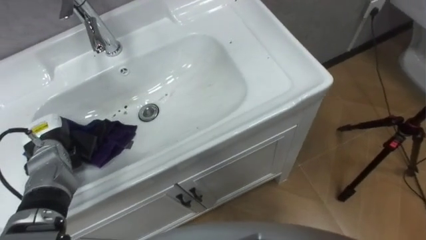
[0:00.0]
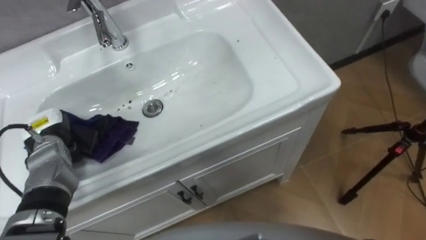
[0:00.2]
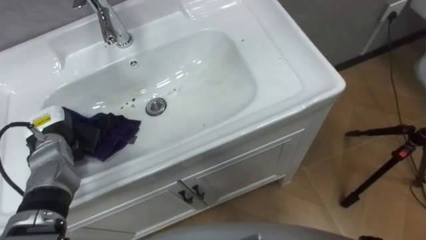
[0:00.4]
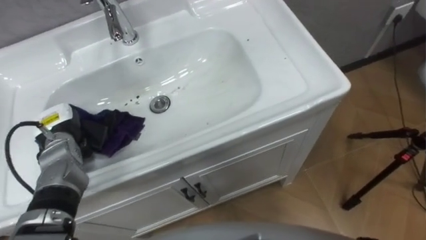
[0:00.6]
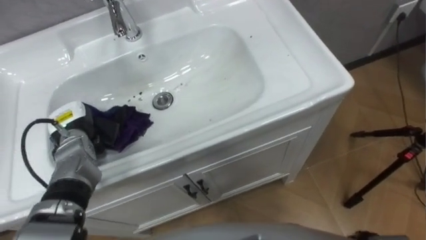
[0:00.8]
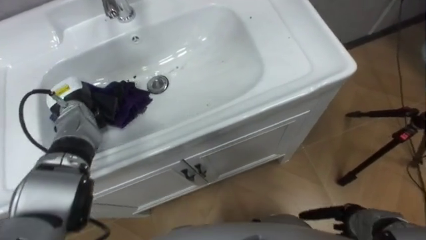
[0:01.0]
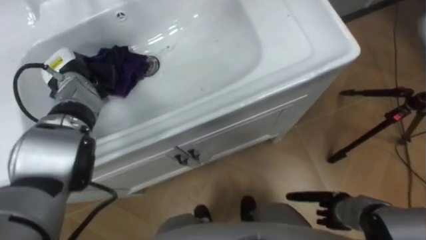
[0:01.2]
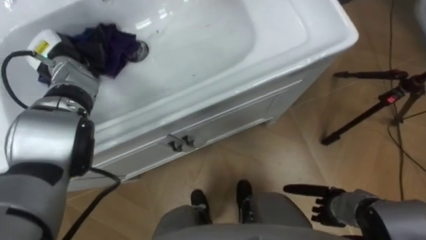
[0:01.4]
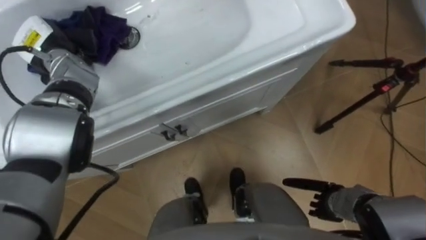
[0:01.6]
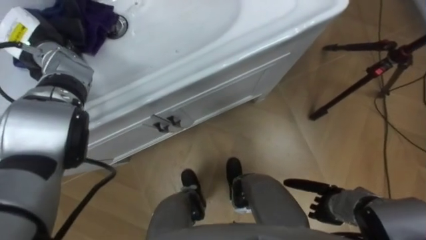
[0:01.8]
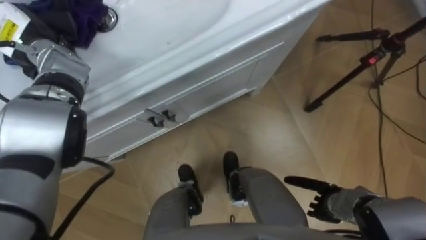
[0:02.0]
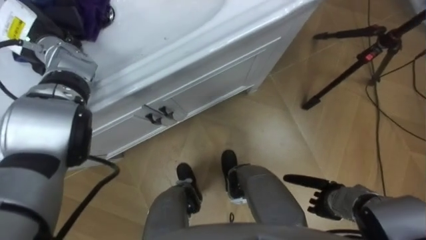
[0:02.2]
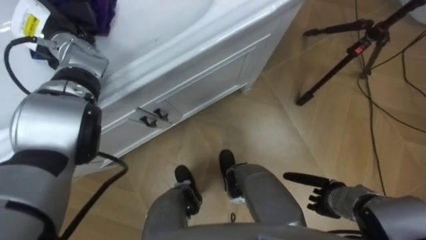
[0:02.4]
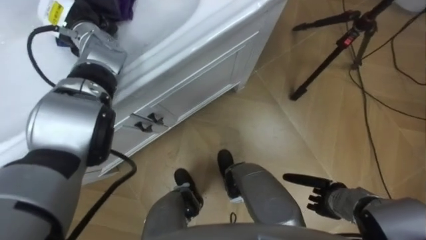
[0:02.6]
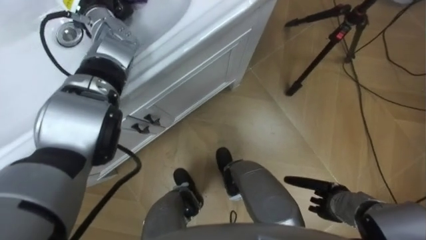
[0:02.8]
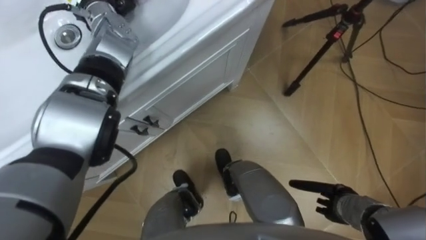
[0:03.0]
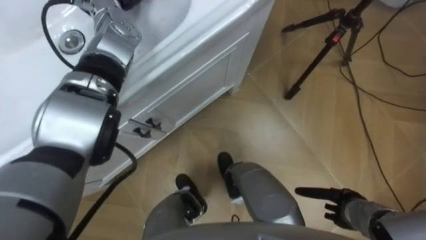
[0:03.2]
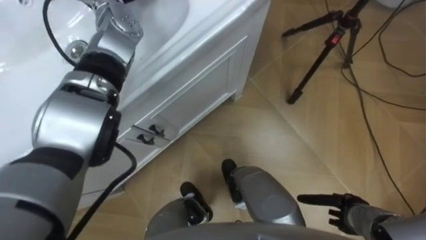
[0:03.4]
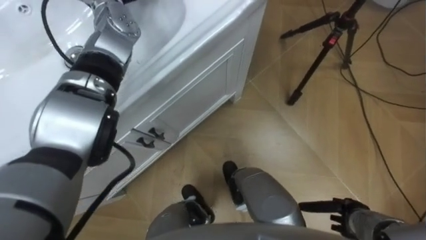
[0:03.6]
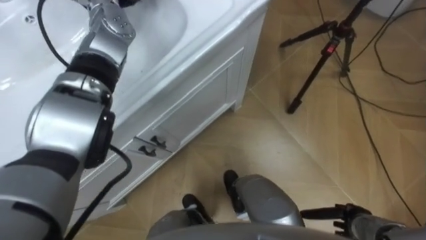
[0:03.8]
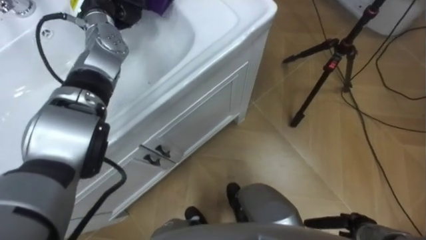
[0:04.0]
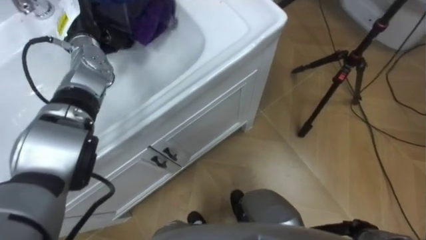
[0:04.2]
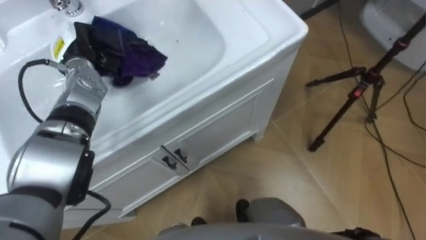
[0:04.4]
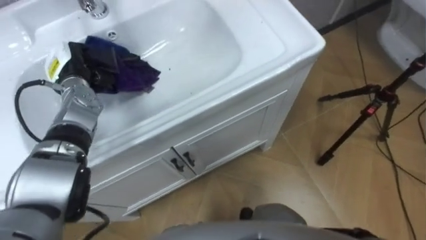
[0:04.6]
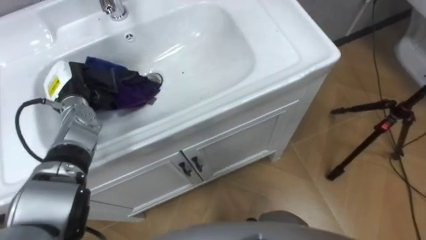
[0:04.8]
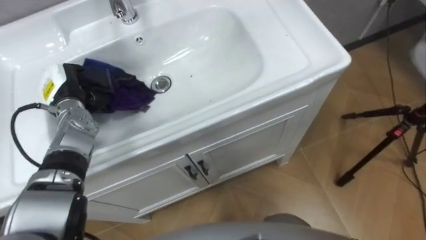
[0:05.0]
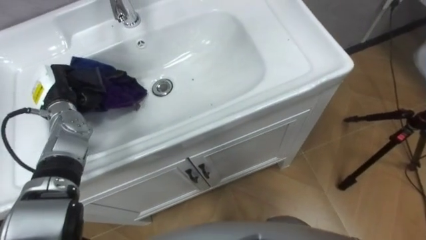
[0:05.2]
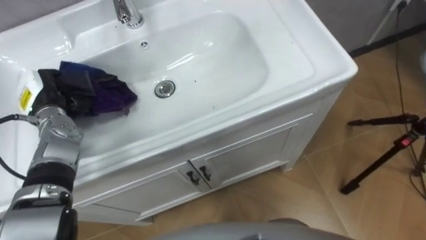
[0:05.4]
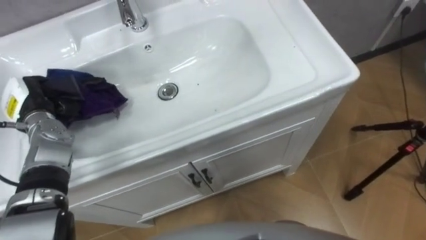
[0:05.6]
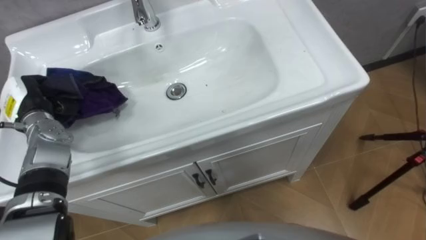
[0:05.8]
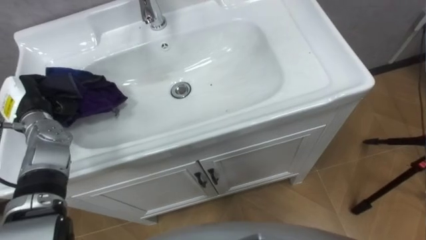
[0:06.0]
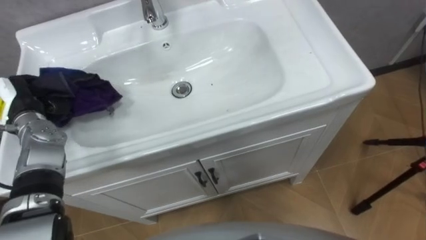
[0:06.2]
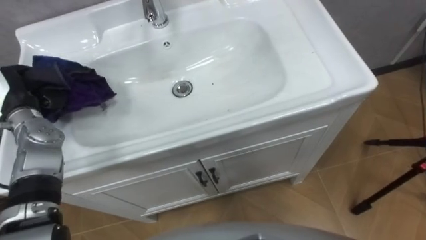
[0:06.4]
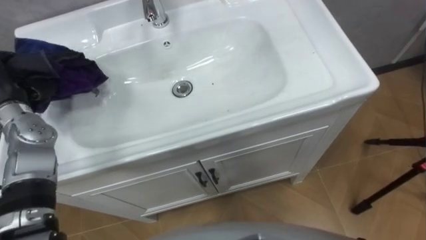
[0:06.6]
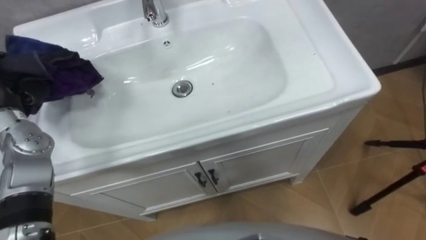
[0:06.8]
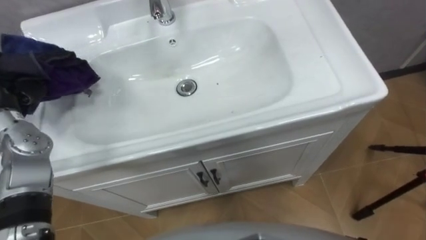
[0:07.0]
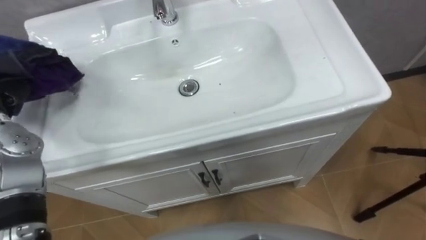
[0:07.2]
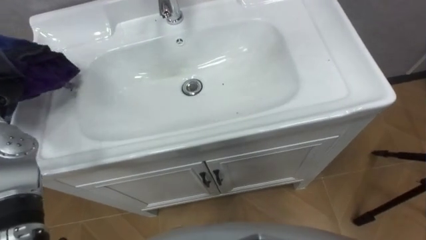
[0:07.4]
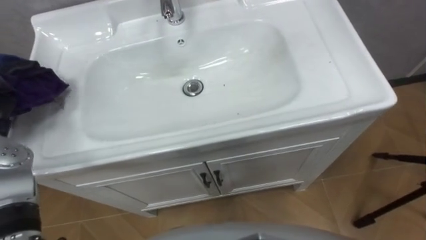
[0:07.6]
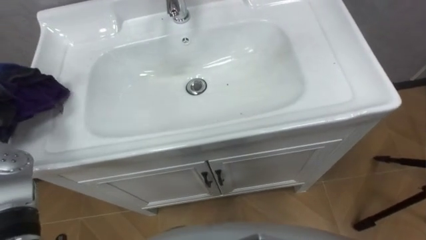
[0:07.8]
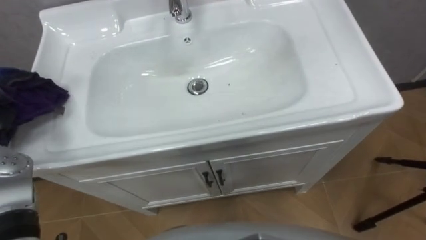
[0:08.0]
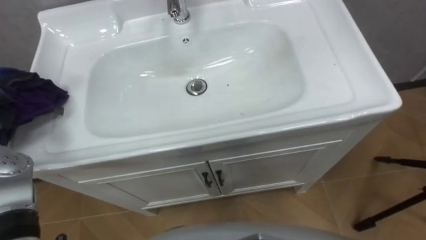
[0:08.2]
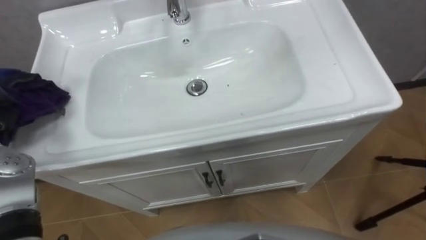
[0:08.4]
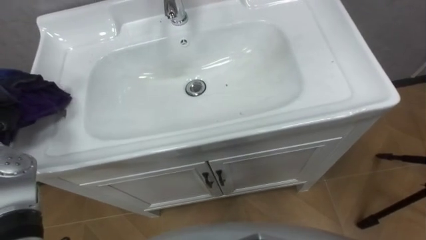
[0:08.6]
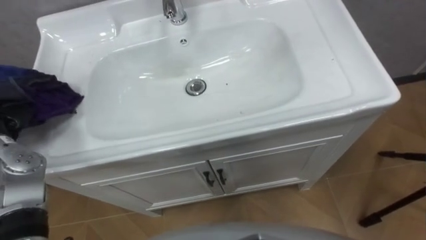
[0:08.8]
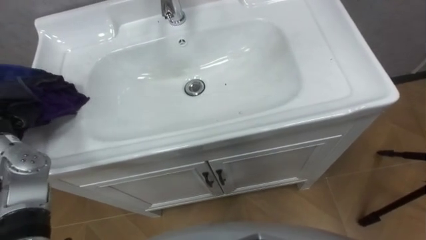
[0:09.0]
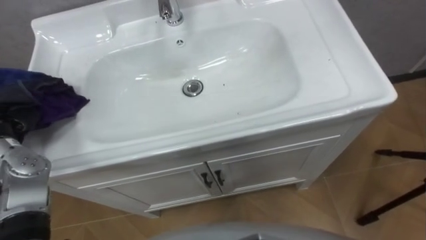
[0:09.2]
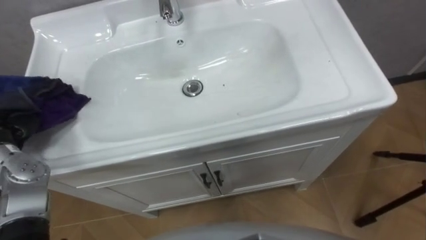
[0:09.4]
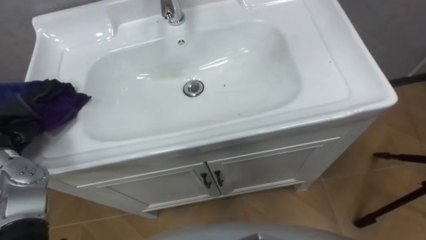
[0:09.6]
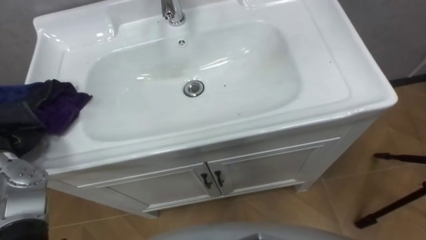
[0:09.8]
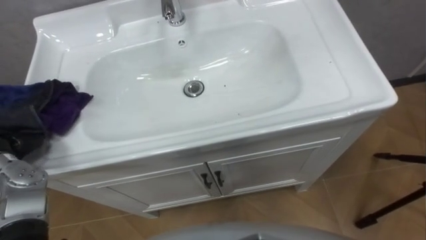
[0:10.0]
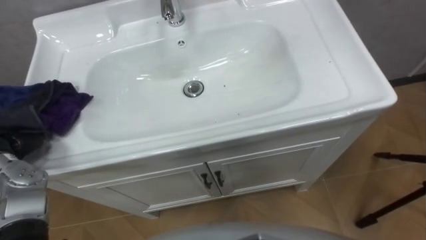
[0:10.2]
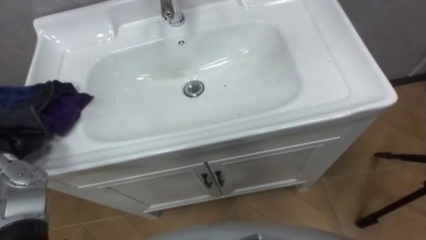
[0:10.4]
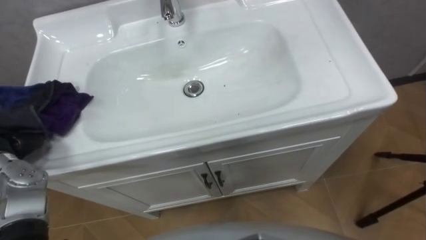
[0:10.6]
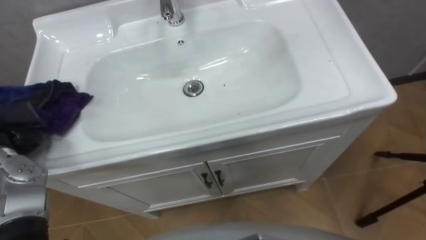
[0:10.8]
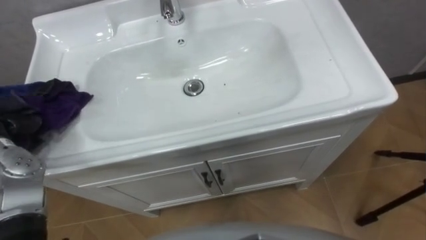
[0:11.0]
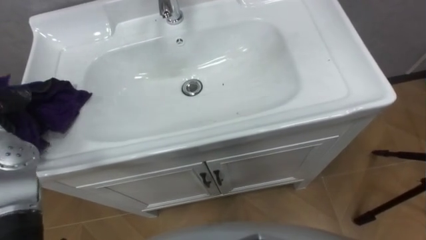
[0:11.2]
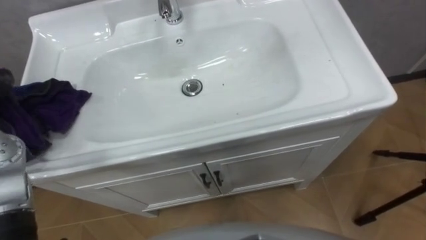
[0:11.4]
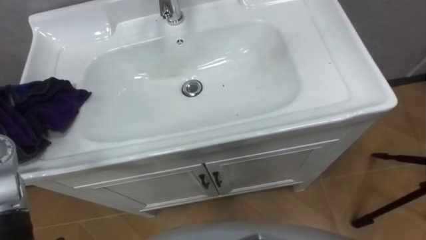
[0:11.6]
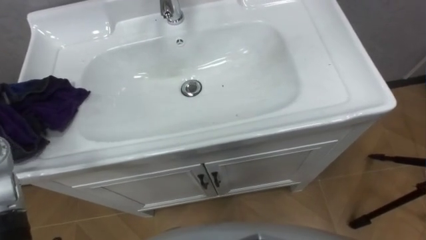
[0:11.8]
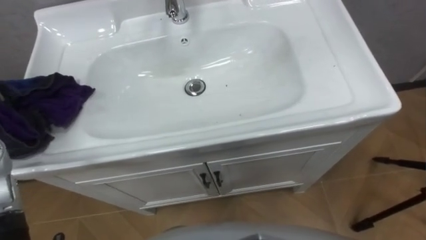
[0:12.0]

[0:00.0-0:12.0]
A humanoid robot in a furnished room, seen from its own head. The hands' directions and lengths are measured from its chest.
Task of the whole recording: Use the cloth on the right to wipe away the black stain in the sink.
0:00.0 to 0:01.6: The left hand is displaced forward and upward by some 20 cm.
0:04.4 to 0:06.0: The left hand is displaced backward and to the left by roughly 15 cm.

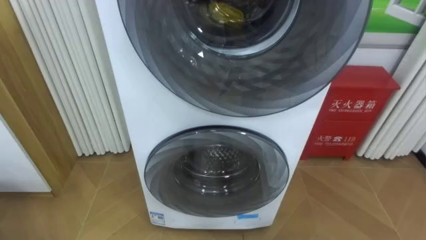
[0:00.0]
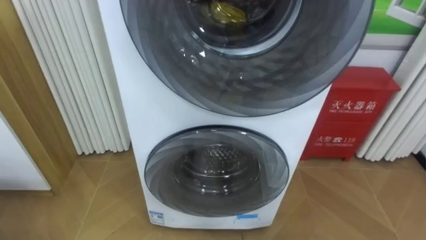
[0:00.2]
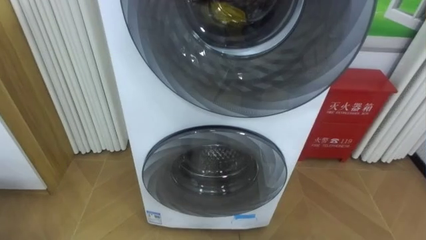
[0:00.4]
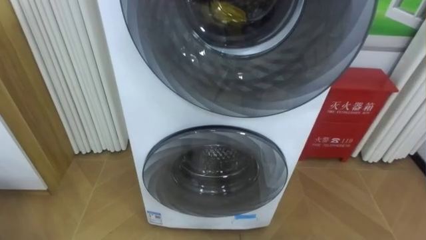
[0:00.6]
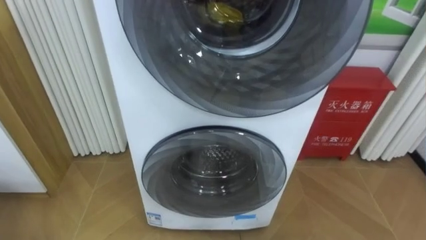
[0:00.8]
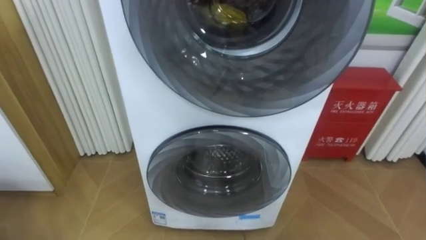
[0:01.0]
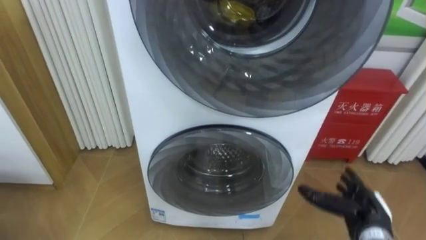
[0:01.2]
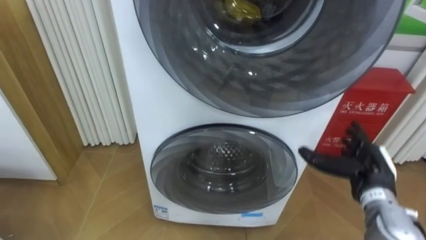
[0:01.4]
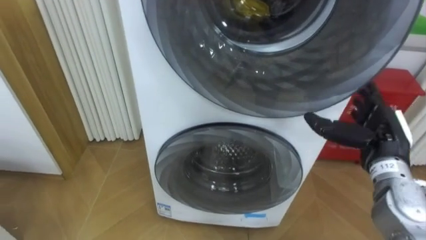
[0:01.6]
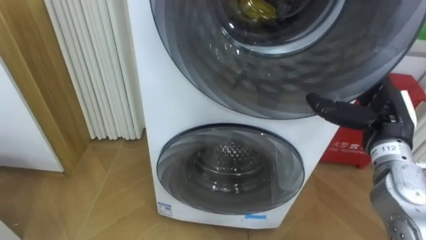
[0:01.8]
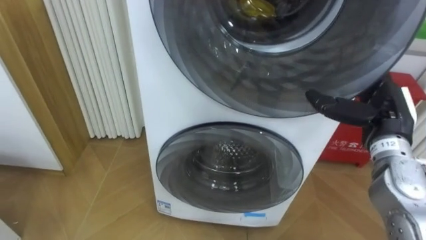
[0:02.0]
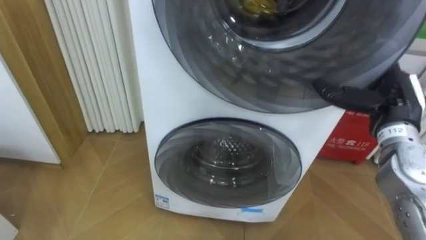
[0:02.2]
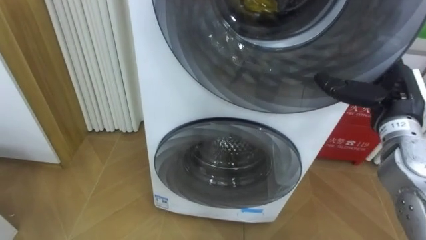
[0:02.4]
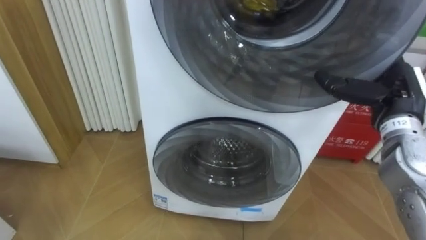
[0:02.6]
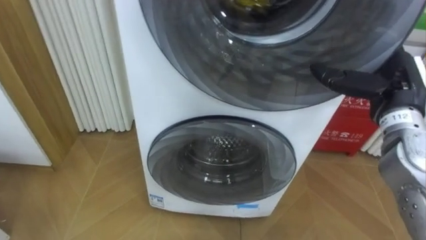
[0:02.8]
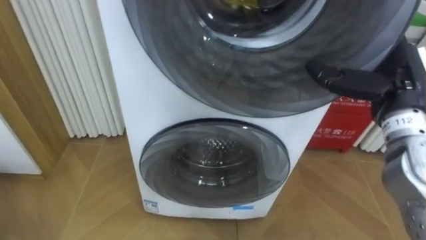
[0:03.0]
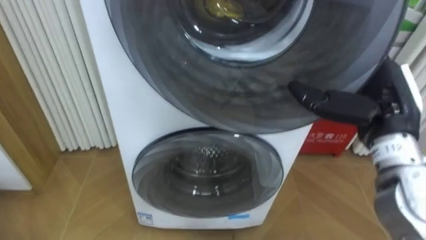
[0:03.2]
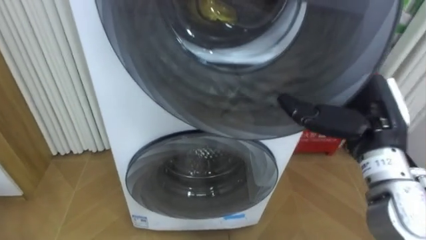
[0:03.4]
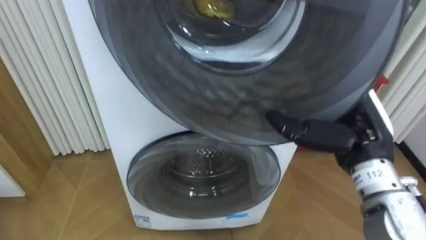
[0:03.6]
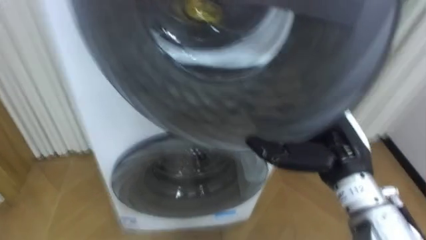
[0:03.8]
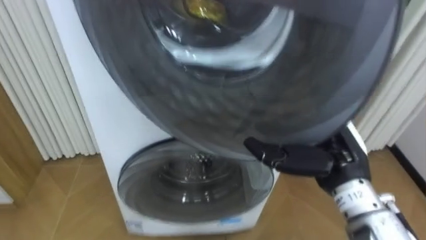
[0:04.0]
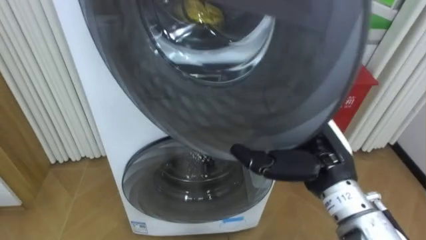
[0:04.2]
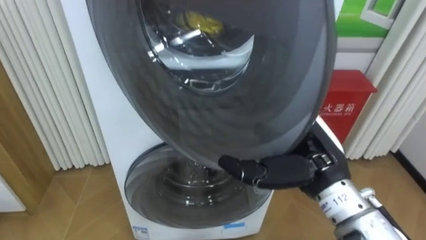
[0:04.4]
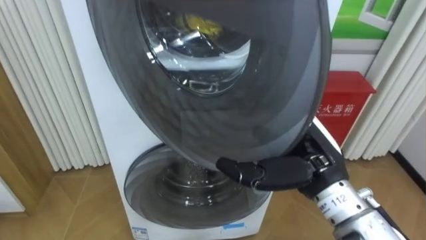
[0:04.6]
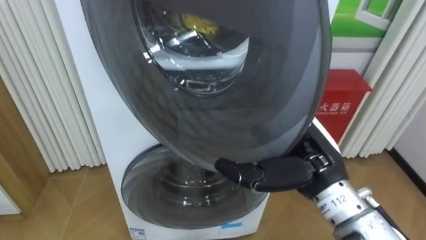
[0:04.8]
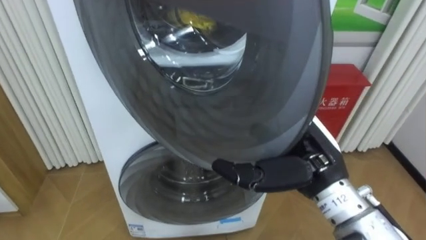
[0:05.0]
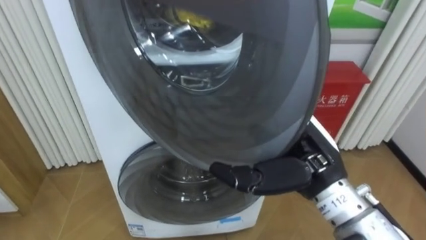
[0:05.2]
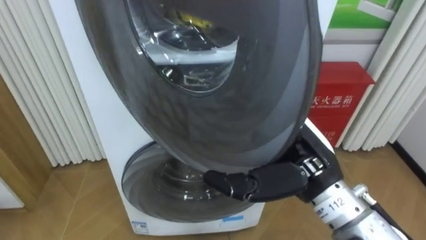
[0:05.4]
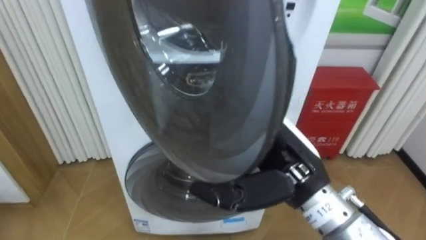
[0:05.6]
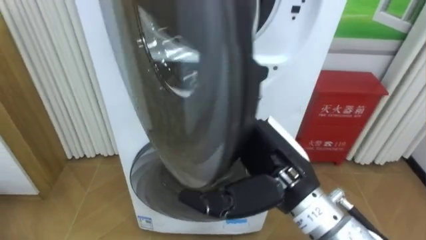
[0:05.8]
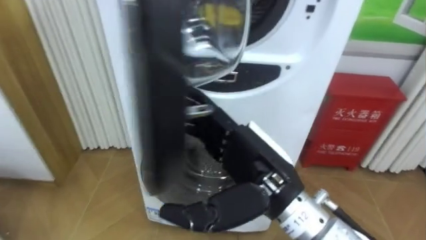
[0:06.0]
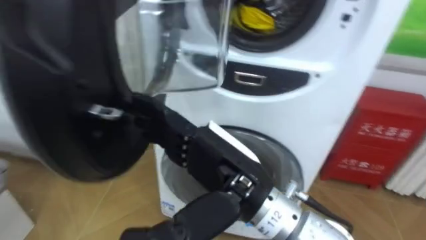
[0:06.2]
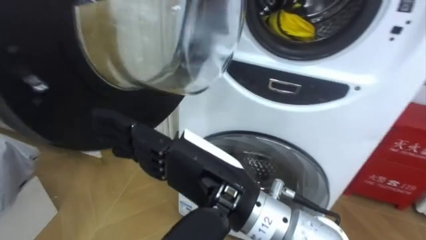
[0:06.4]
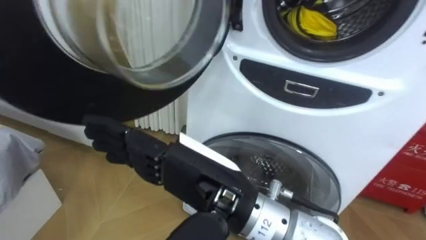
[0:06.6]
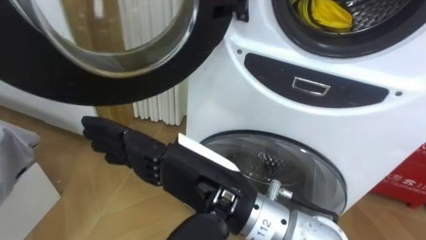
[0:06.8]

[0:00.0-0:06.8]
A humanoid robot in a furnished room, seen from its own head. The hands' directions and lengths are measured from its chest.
Task of the whole recording: Open the washing machine door, take out the yellow clothes, place them in the box on the right, and close the washing machine door.
0:01.4 to 0:02.8: The right hand is displaced upward by some 15 cm.
0:02.8 to 0:04.0: The right hand heads to the left and backward, covering about 10 cm.
0:04.0 to 0:05.4: The right hand goes some 5 cm to the left.
0:05.4 to 0:06.8: The right hand heads to the left and backward, covering some 15 cm.
